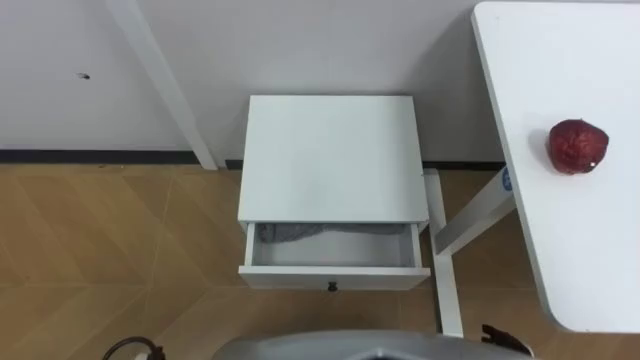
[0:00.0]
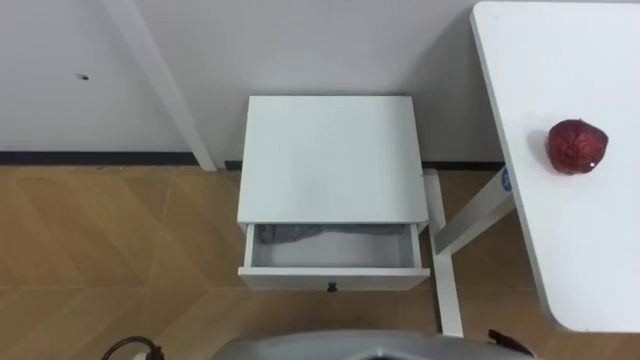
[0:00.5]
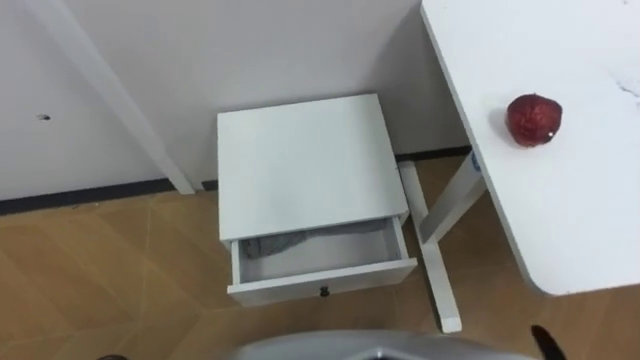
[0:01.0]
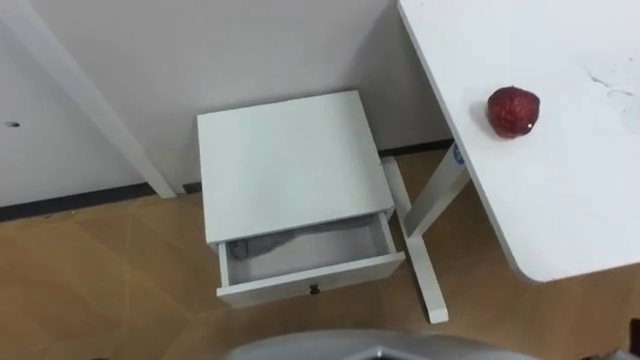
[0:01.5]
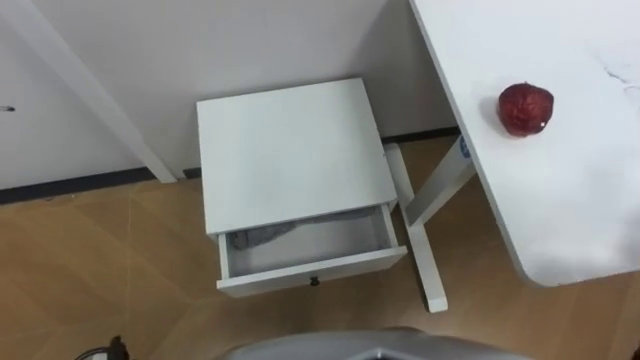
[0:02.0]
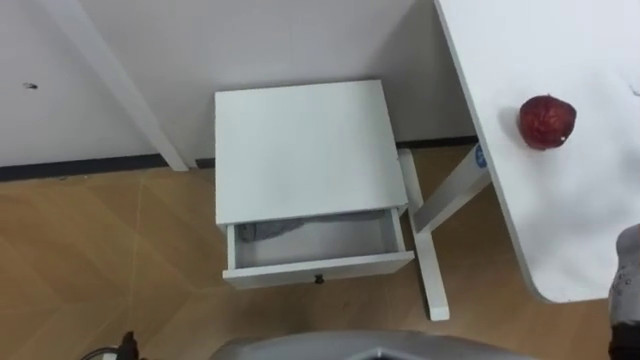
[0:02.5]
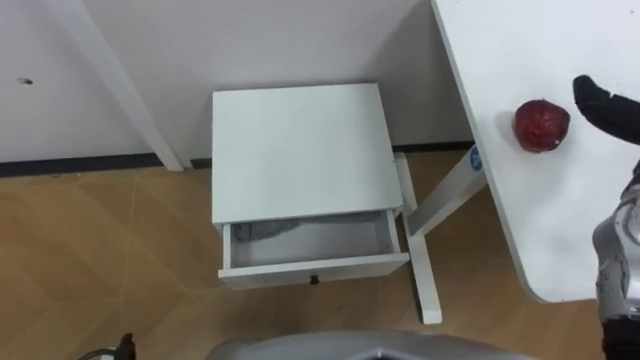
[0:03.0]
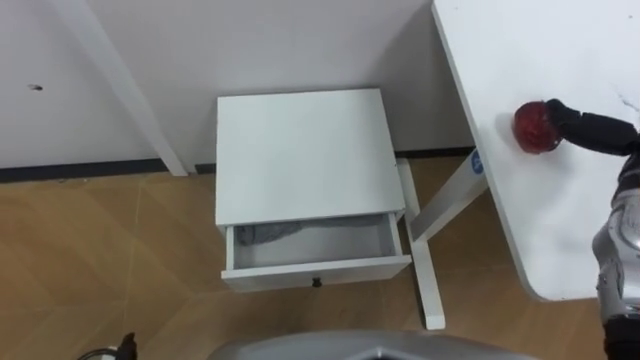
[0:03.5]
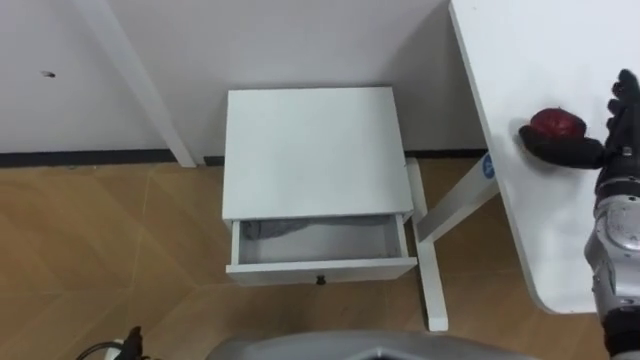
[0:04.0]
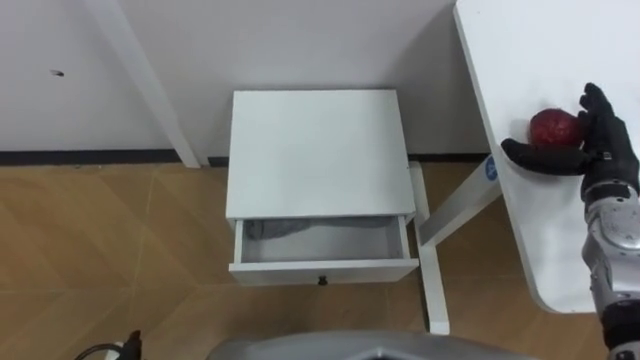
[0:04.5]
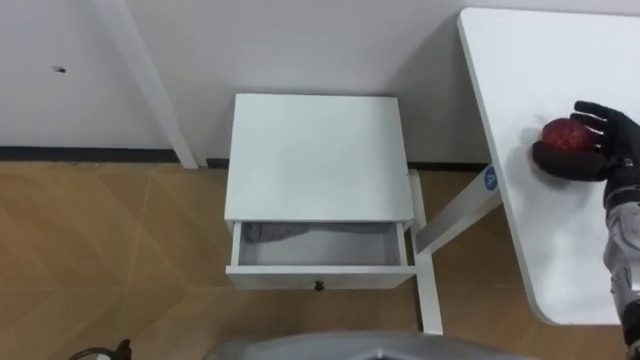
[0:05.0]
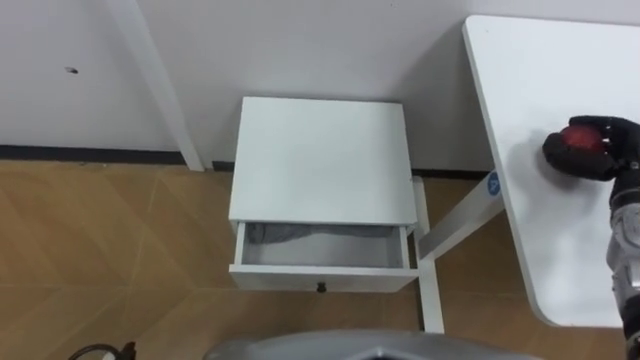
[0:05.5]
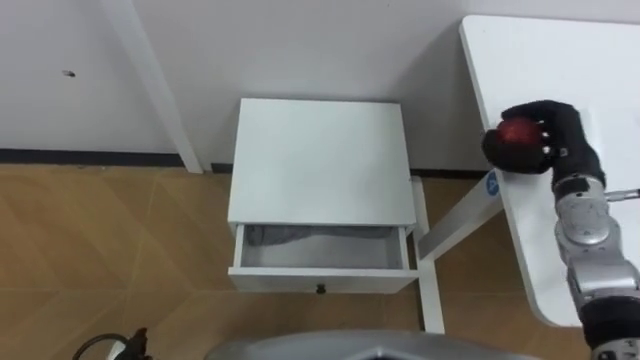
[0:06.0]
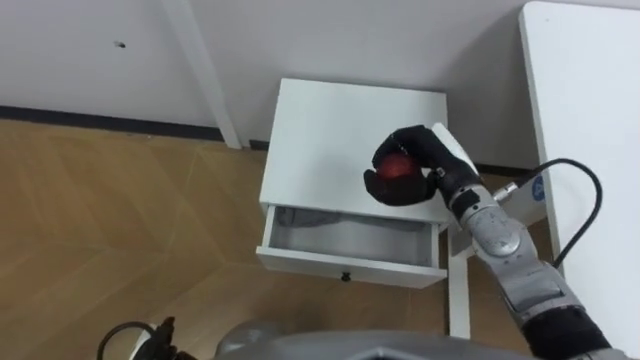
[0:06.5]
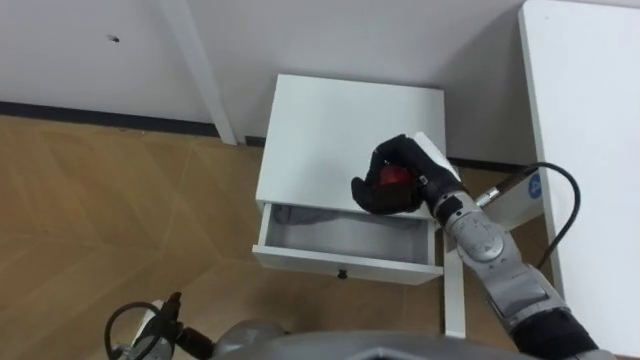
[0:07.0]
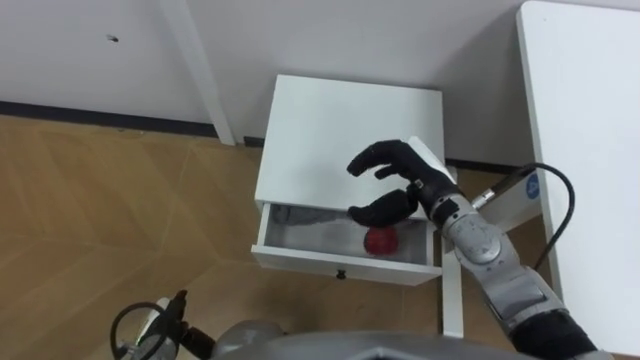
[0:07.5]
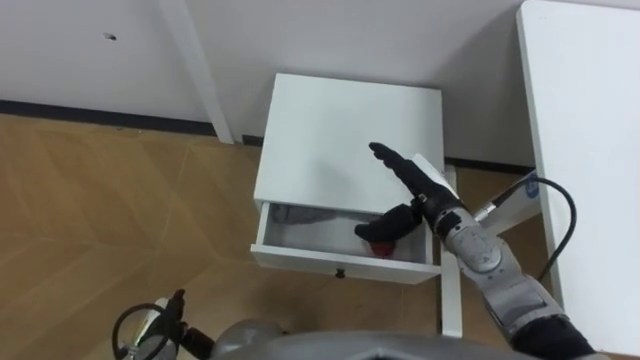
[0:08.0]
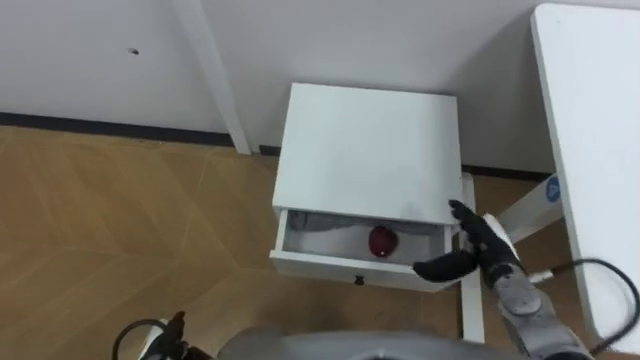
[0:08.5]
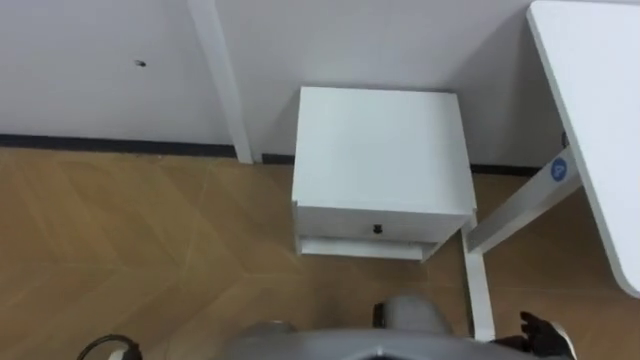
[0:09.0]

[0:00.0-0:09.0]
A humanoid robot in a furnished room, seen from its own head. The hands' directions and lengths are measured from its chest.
Task of the whole recording: Pick up the apple from the table, put it in the drawer, and close the drawer with leg.
0:04.5 to 0:07.0: The right hand shifts about 20 cm to the left, and closes.
0:07.0 to 0:09.0: The right hand is displaced backward, to the right and downward by approximately 30 cm, and opens up.

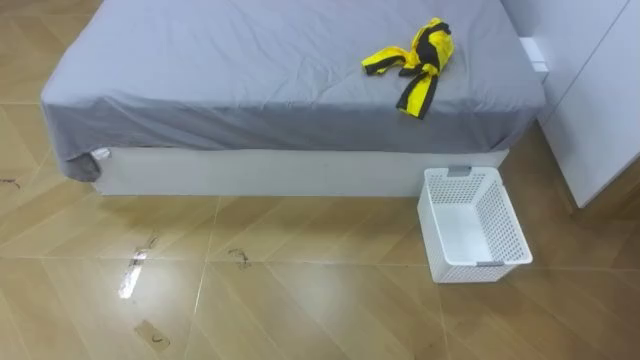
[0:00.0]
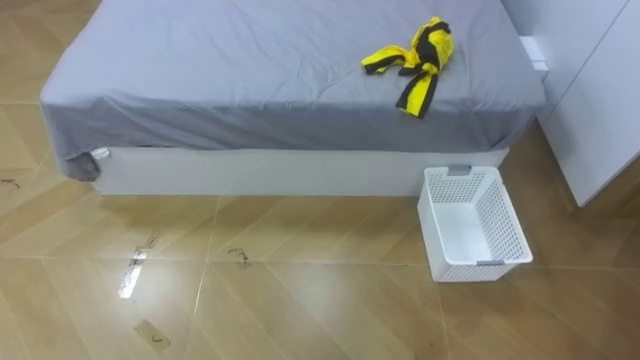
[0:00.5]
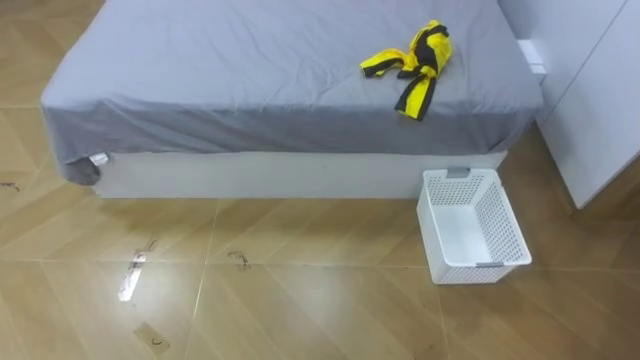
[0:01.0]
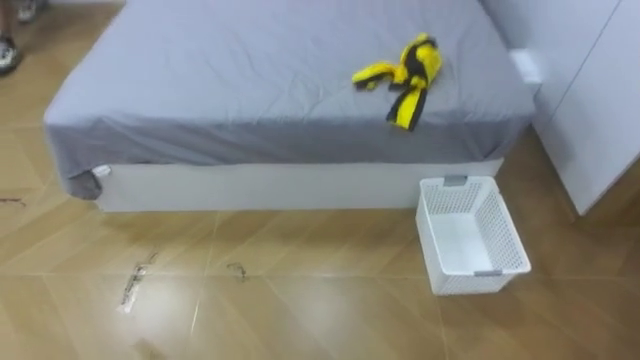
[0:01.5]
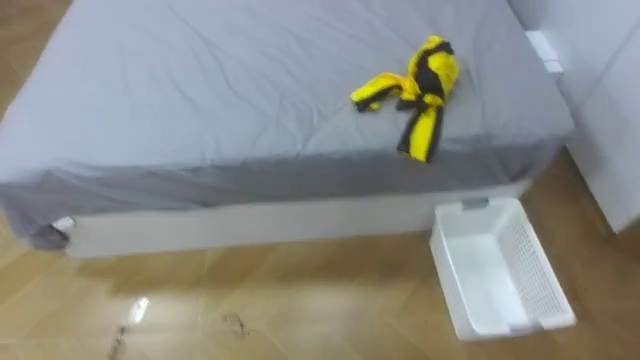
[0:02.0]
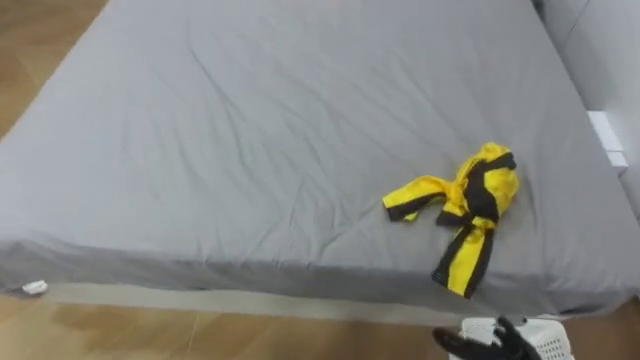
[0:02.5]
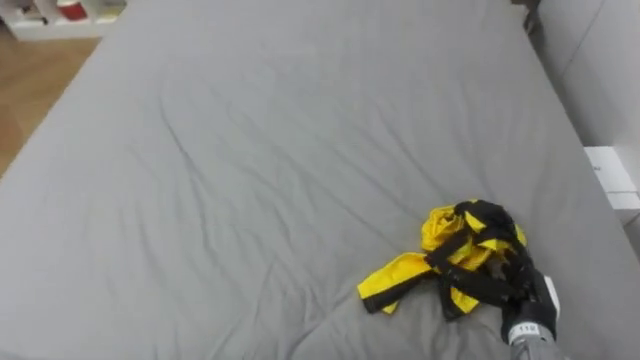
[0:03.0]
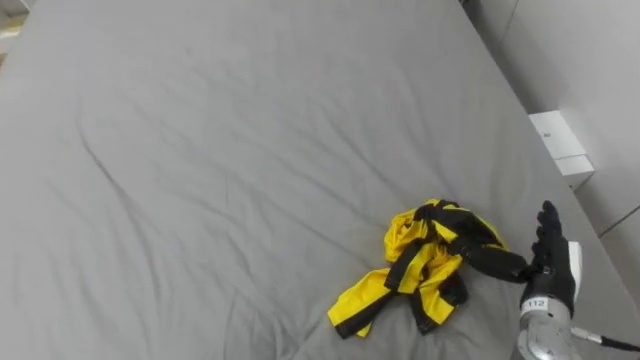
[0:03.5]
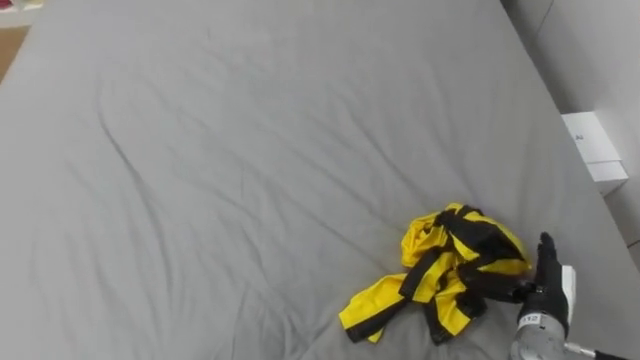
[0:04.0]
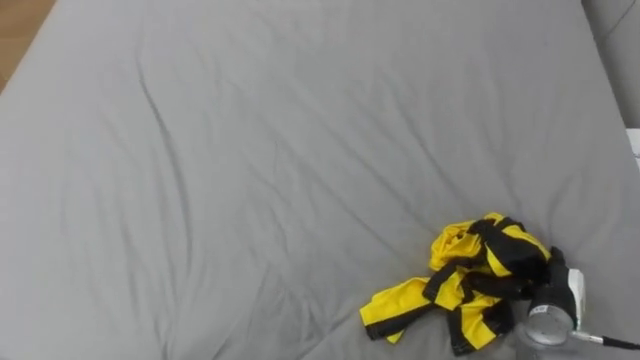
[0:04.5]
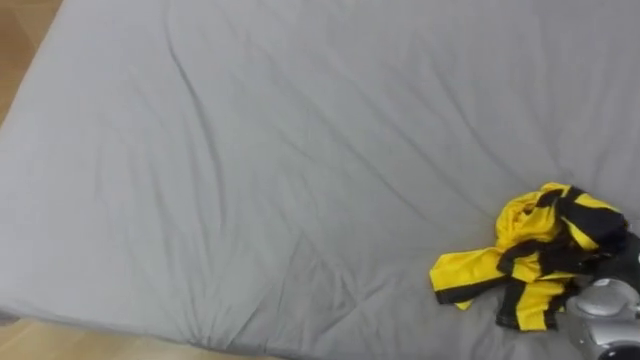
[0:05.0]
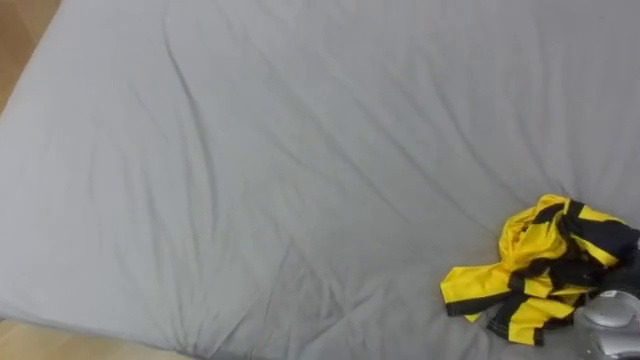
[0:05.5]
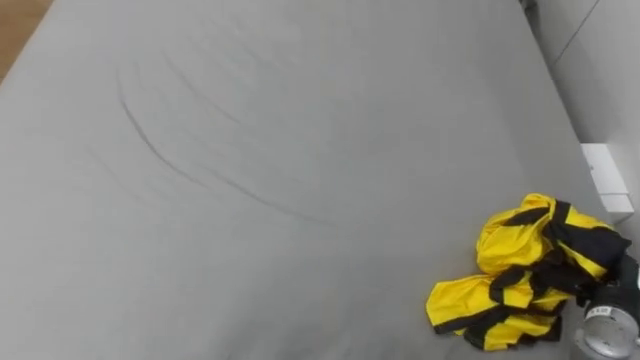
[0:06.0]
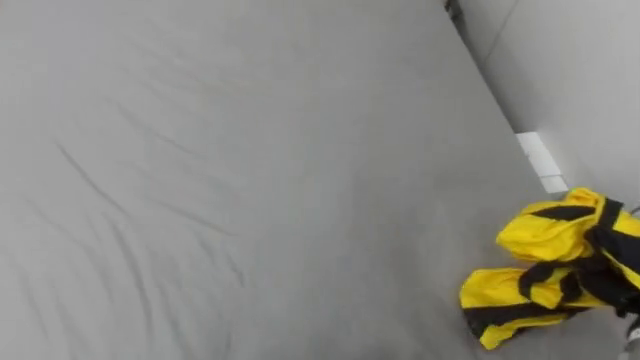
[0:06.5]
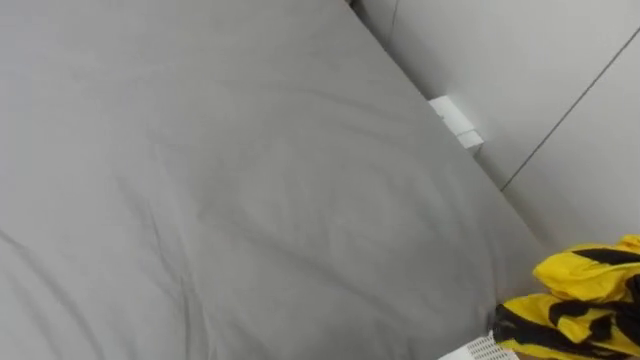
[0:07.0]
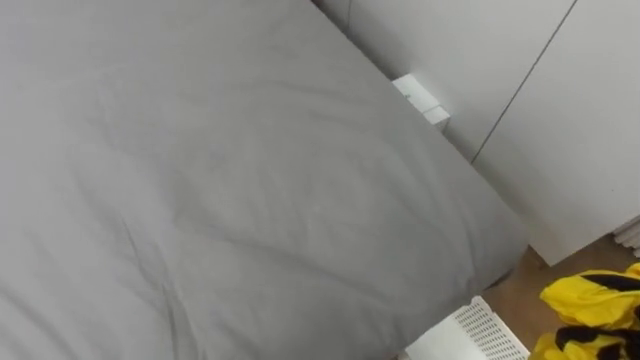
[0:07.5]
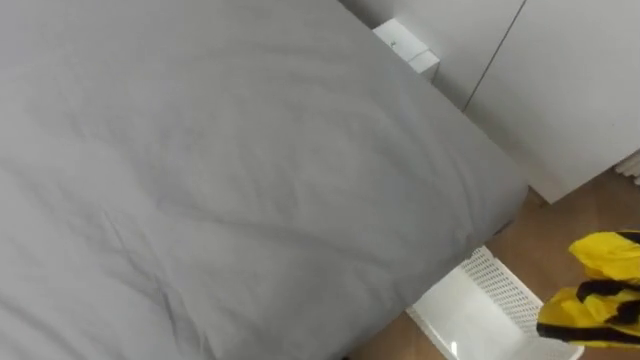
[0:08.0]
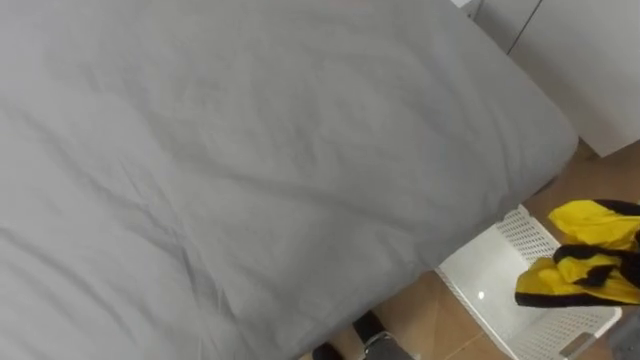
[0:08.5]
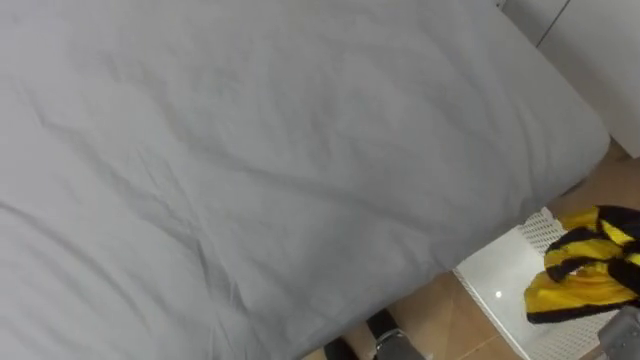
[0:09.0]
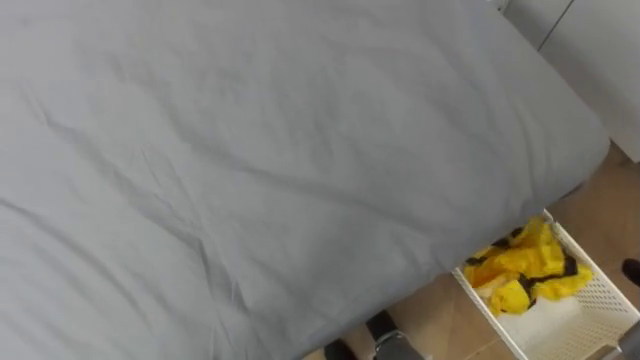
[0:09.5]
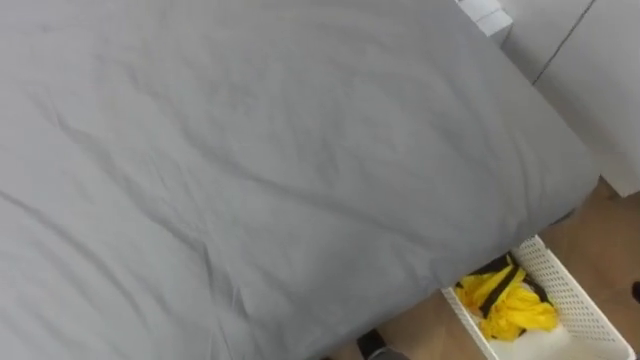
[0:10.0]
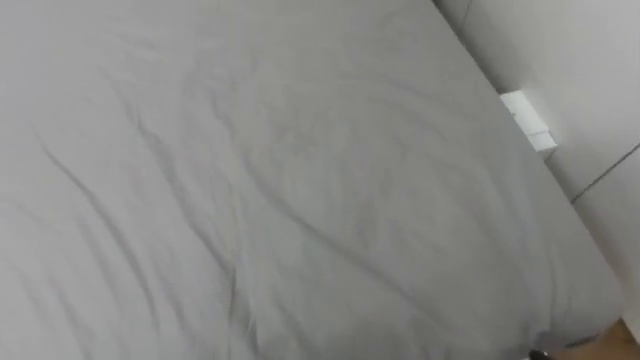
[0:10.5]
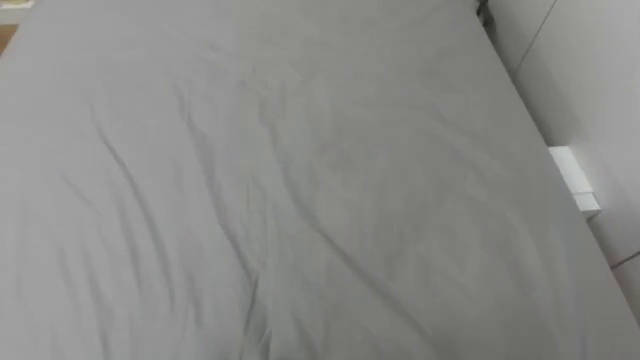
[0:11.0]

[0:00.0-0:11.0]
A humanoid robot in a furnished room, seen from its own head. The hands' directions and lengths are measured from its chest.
Task of the whole recording: Pick up the yellow clothes on the bed and place them into the white basket on the right.
0:03.5 to 0:05.5: The right hand travels to the right by roughly 10 cm, and closes its fingers.
0:09.0 to 0:11.0: The robot rotates some 20 degrees to its left.
